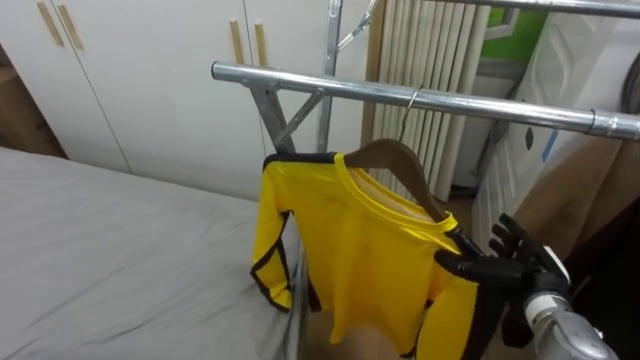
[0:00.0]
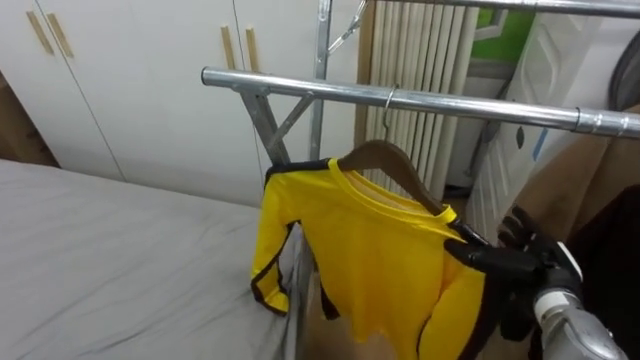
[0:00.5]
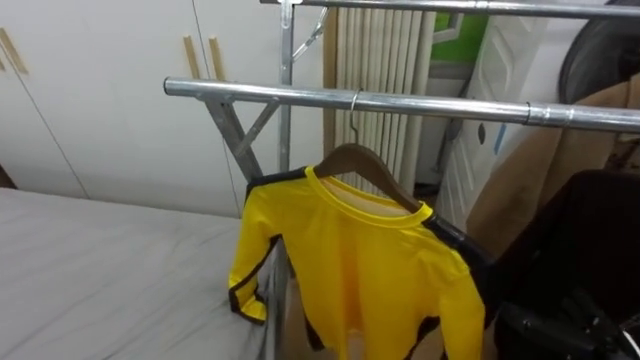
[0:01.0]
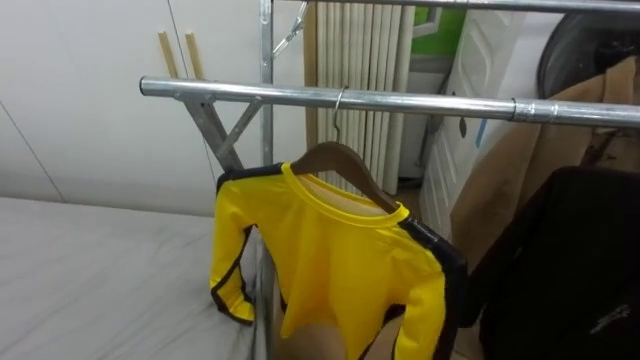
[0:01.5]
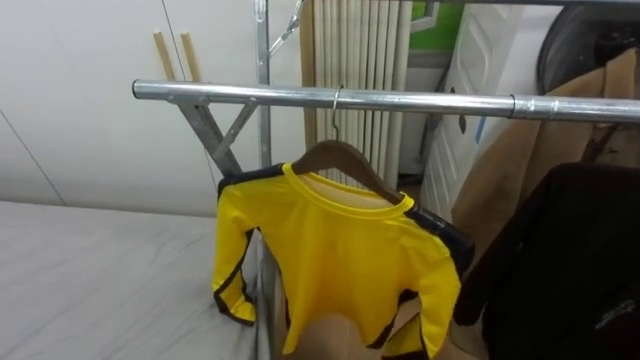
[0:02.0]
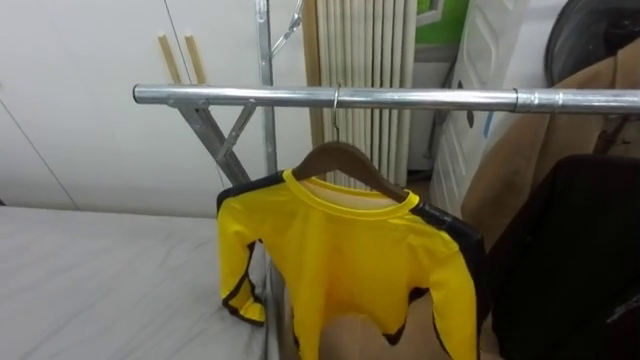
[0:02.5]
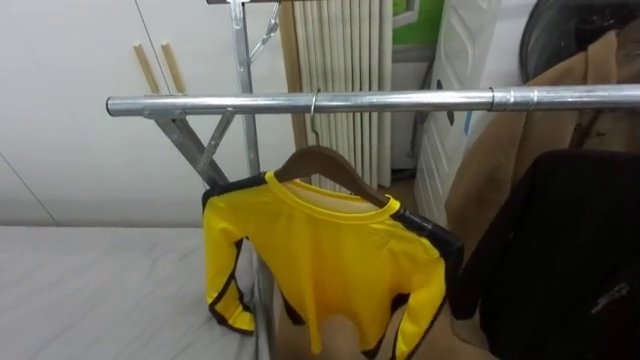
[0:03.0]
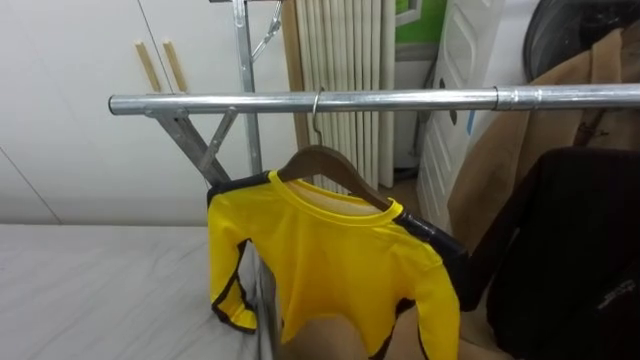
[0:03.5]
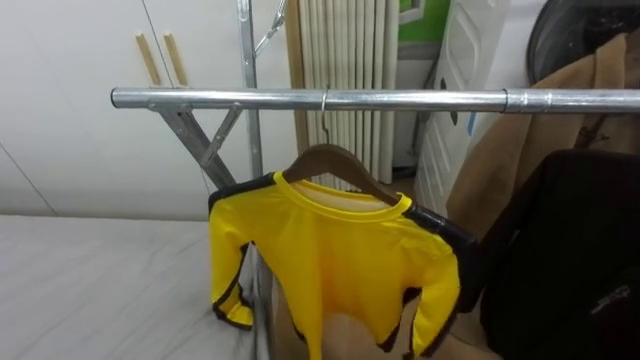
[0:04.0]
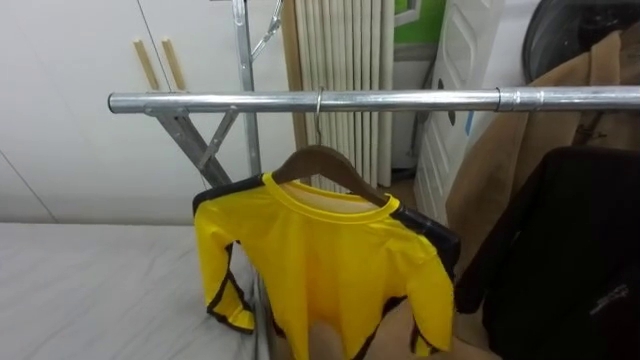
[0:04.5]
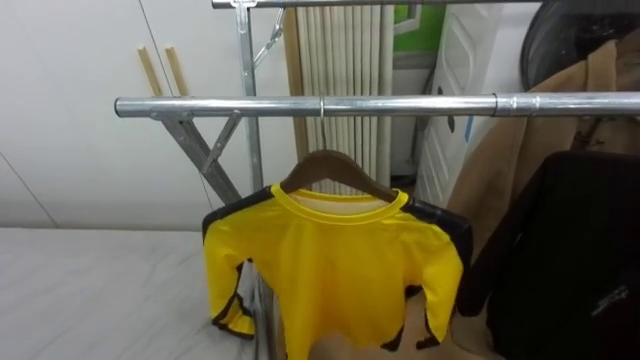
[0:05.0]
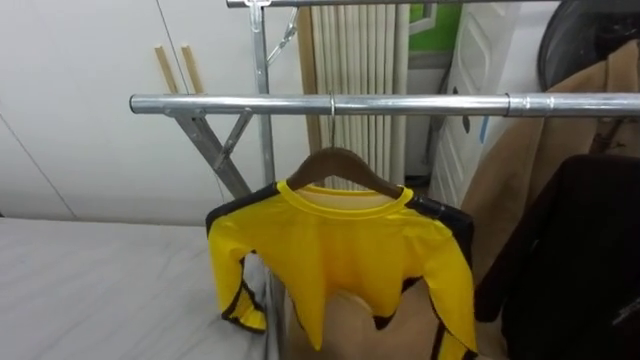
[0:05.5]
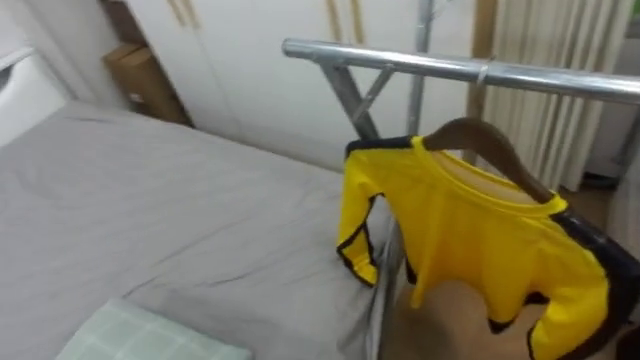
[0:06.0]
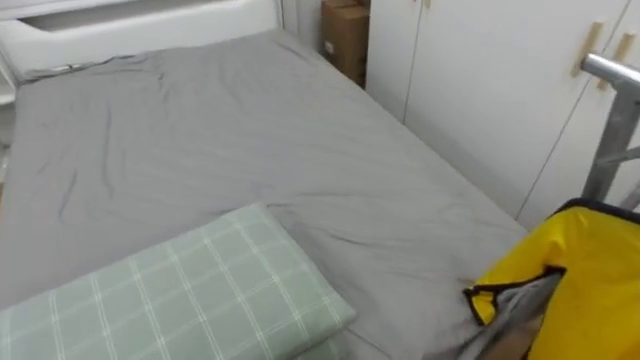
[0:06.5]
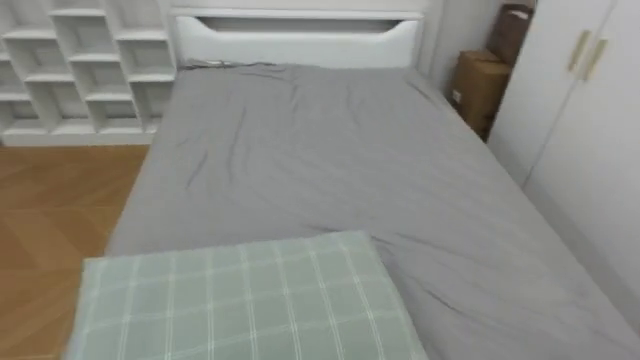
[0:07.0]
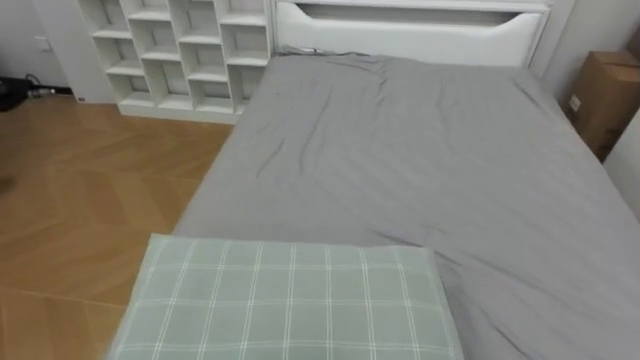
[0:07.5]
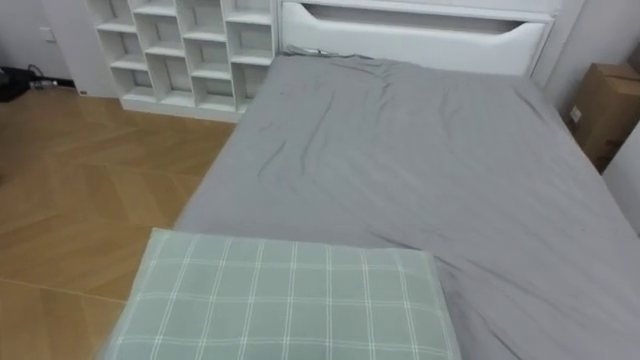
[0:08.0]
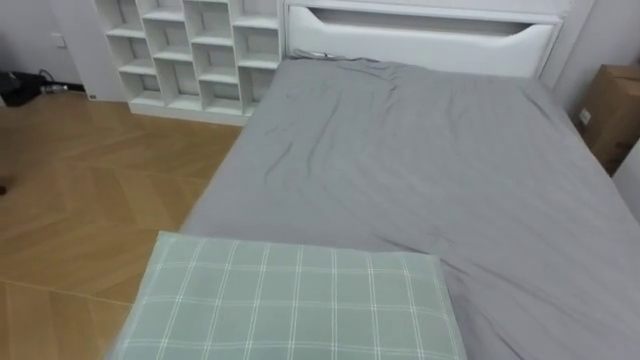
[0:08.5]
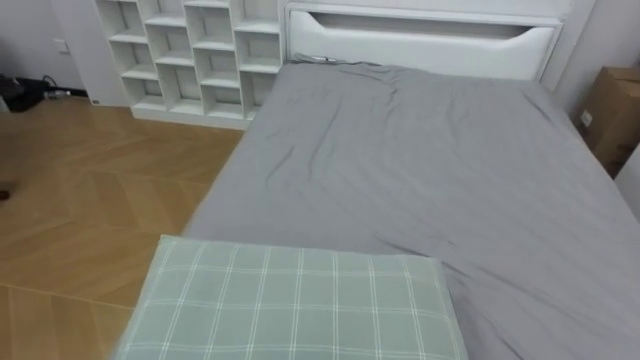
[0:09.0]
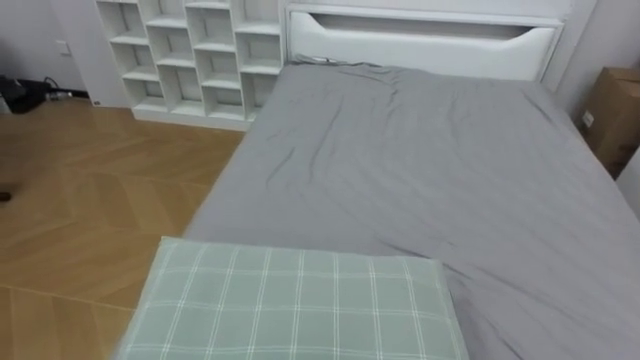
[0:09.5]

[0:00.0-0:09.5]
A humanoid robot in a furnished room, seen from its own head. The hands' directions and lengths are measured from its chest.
Task of the whole recording: Pick up the yellow shirt on the bed and hang it on the clothes rack on the right.
0:05.5 to 0:07.5: The robot's body swings approximately 90 degrees to its left.

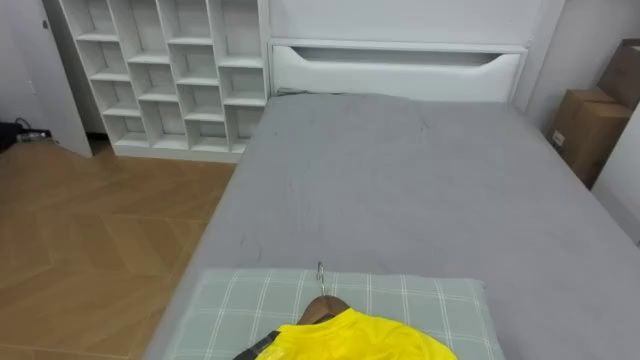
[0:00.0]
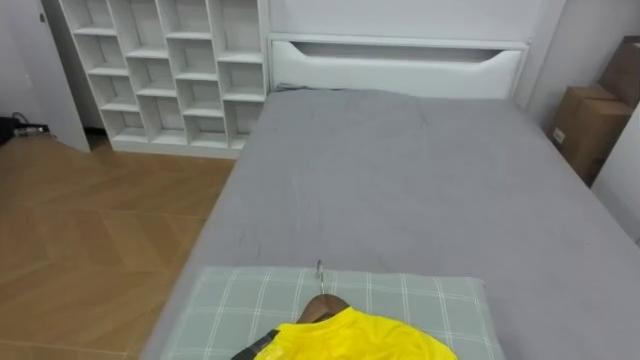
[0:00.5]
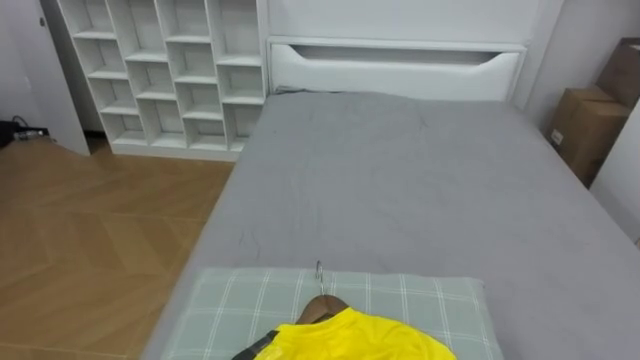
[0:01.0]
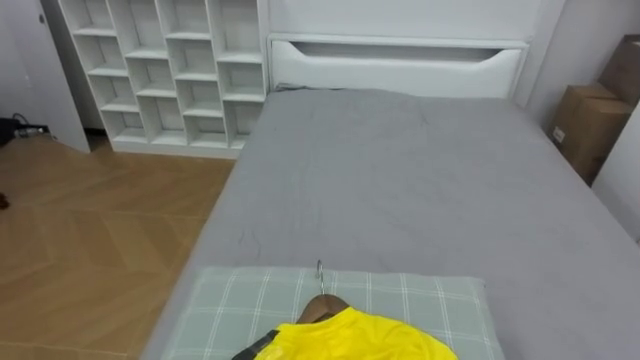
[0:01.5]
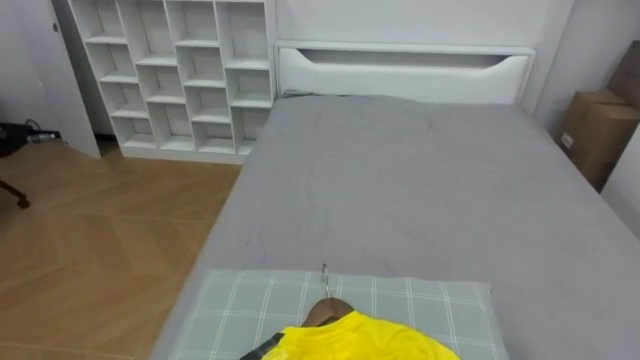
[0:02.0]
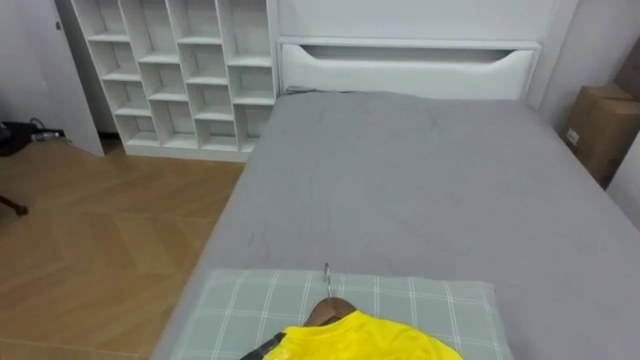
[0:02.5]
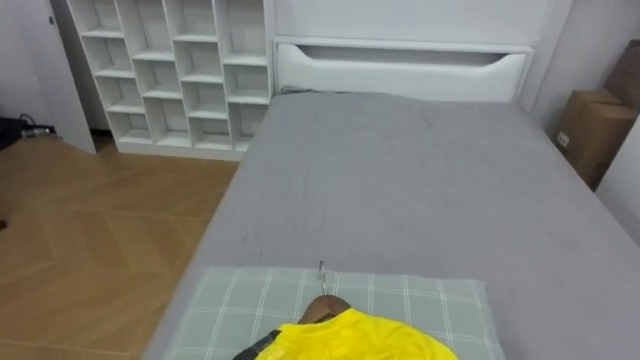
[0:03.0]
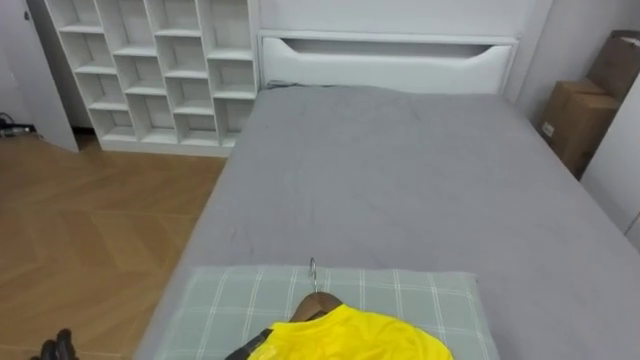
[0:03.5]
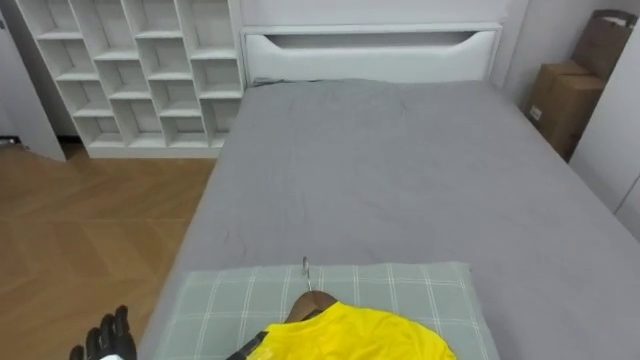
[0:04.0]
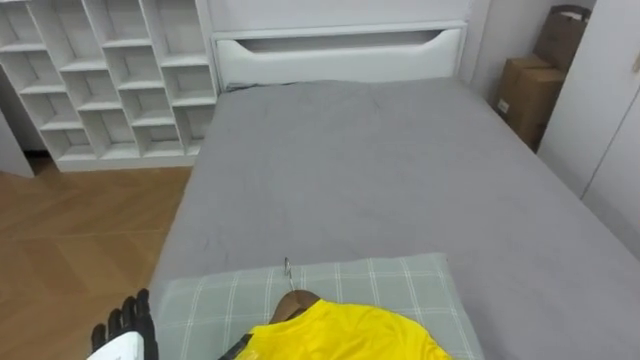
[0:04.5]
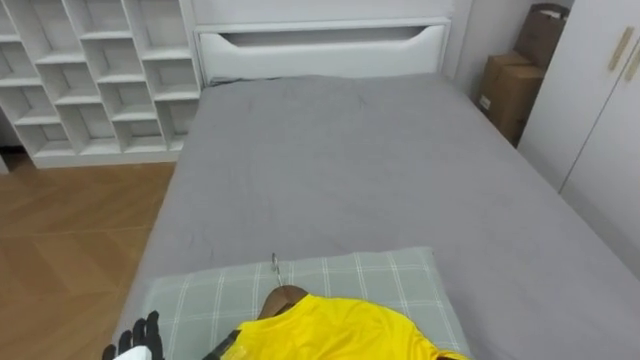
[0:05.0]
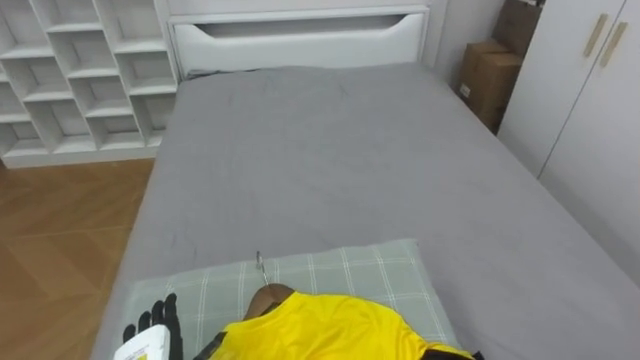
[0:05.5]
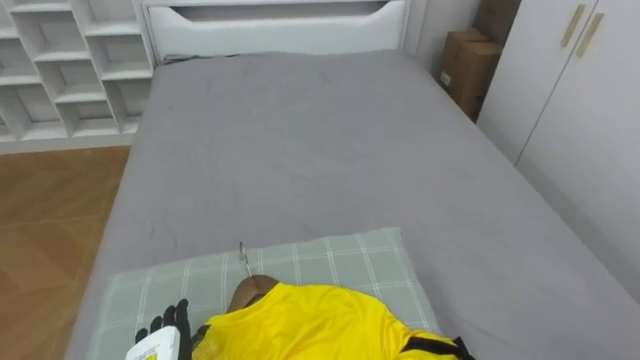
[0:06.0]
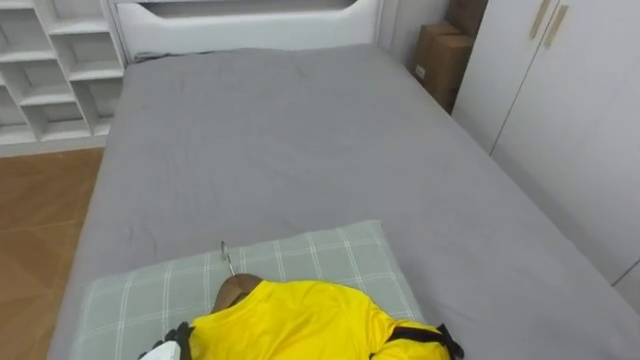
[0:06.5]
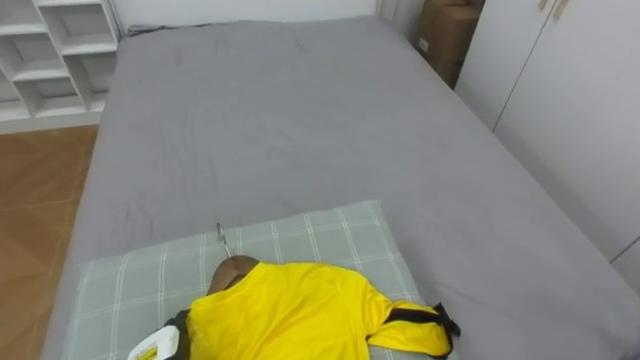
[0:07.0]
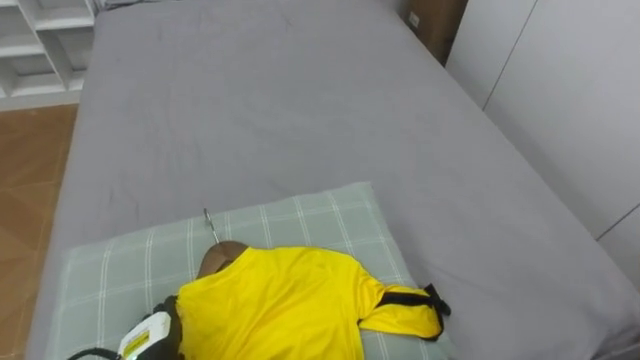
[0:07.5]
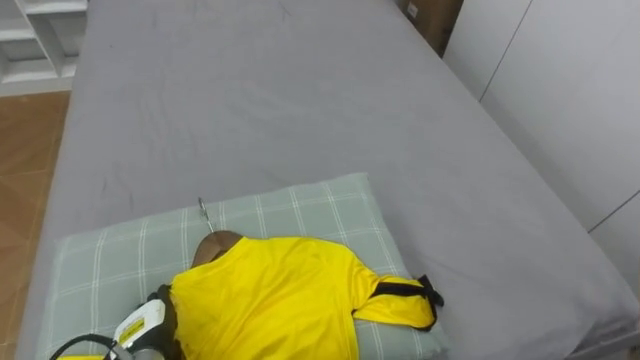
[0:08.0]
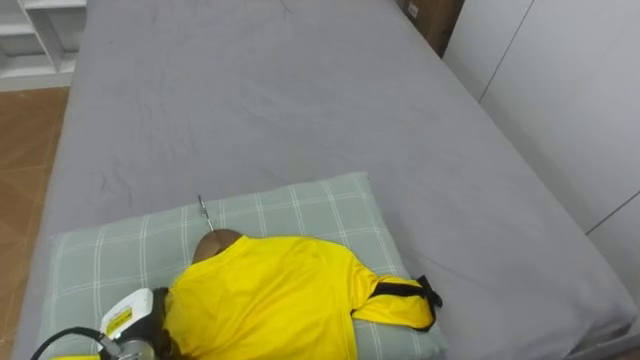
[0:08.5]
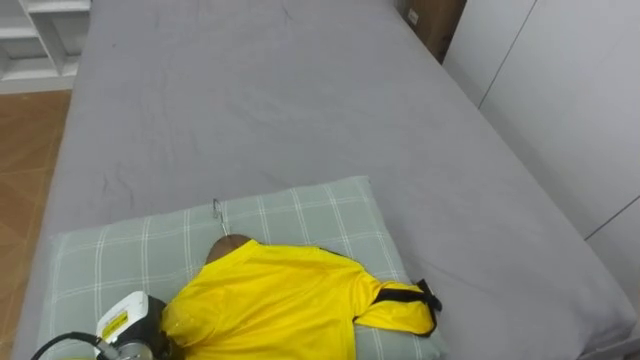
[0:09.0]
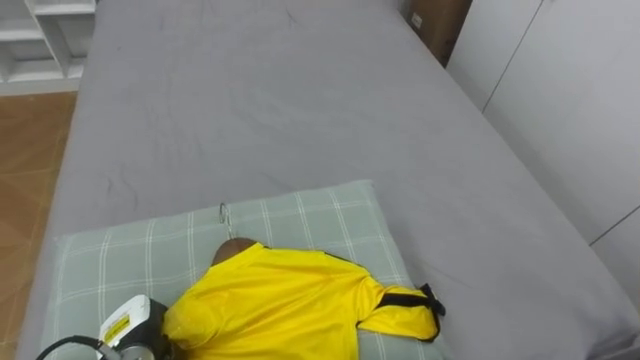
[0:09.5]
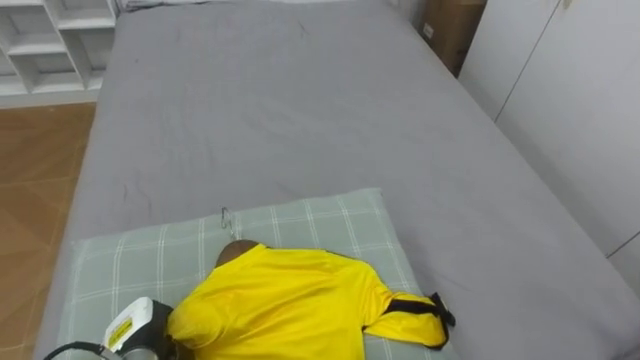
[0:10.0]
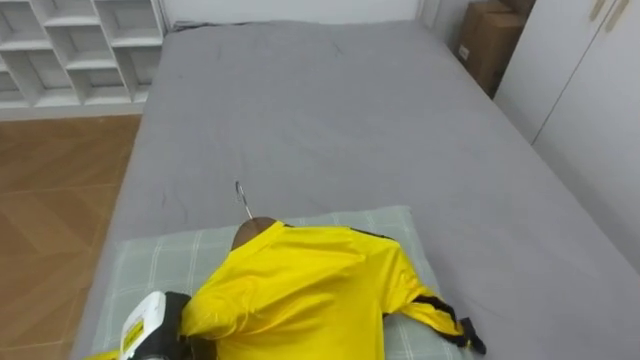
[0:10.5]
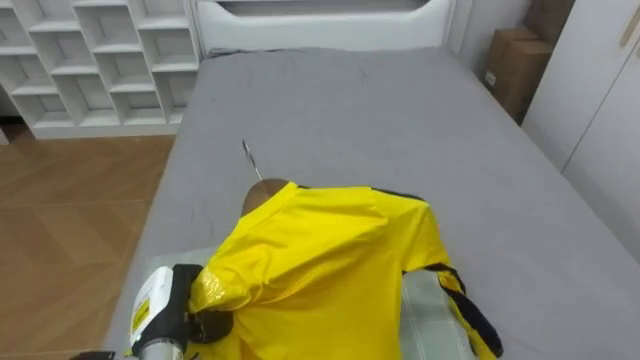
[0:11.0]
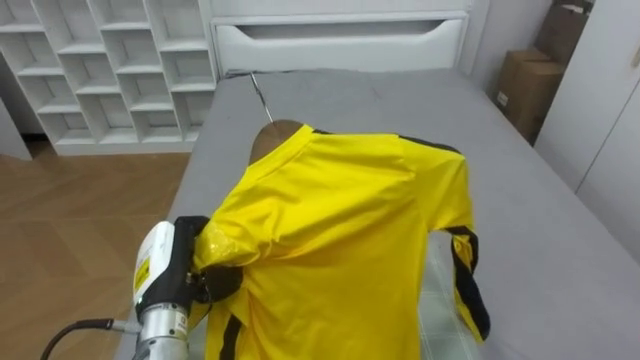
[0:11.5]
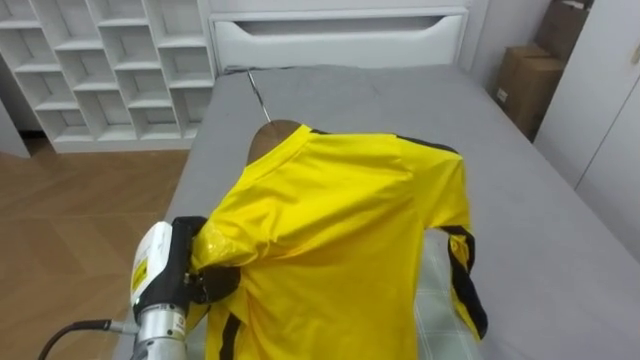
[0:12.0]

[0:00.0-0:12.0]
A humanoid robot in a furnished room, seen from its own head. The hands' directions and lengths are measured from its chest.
Task of the whole recording: Pick up the yellow shirt on the bed and hang it on the clothes rack on the right.
0:08.0 to 0:10.0: The left hand closes its fingers.
0:10.0 to 0:12.0: The left hand is displaced upward and to the right by roughly 15 cm.
